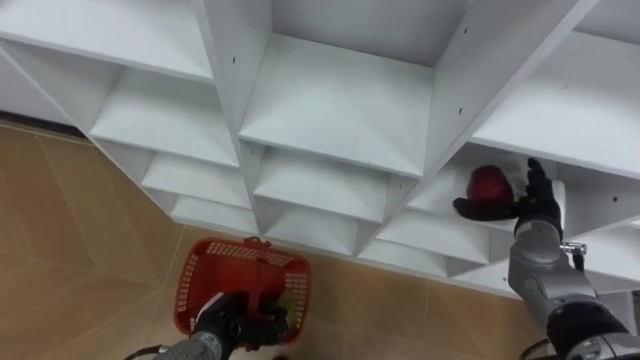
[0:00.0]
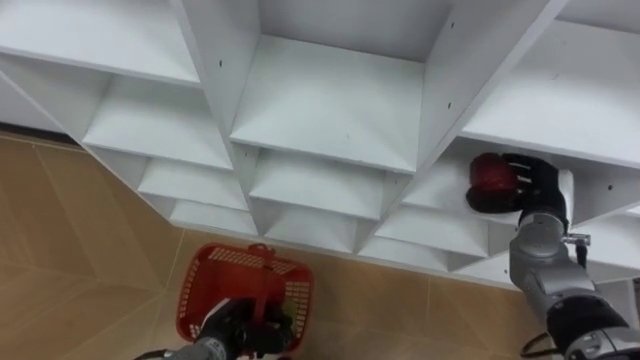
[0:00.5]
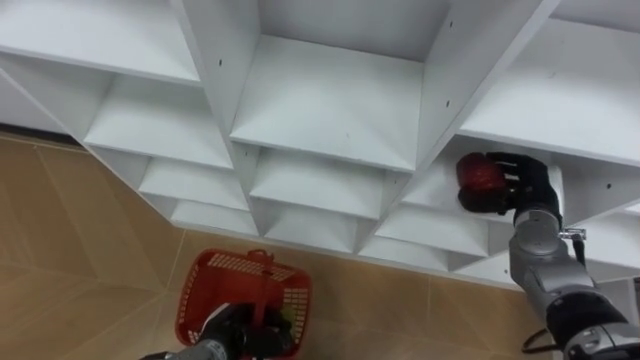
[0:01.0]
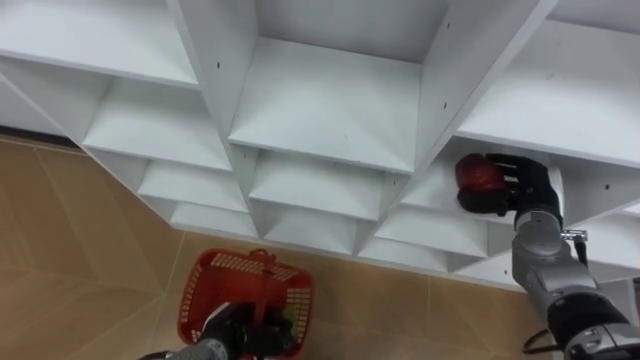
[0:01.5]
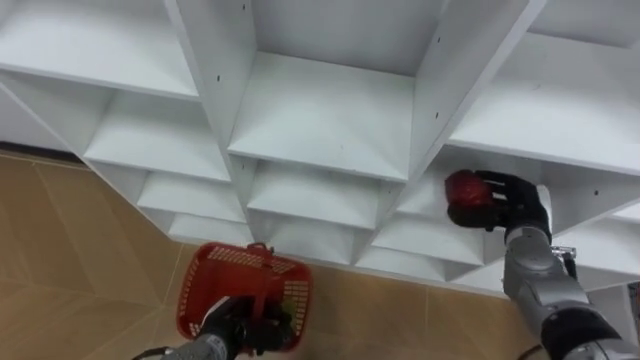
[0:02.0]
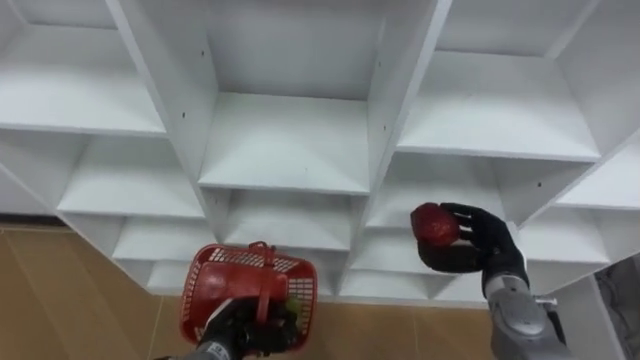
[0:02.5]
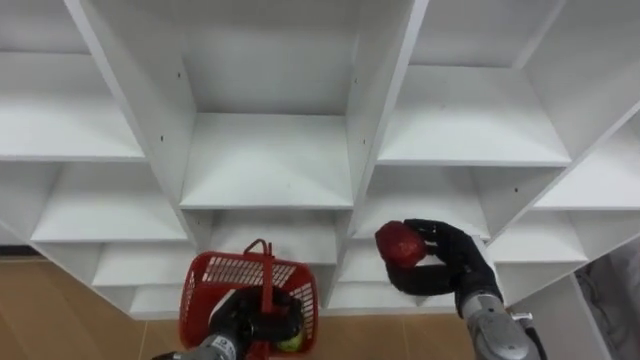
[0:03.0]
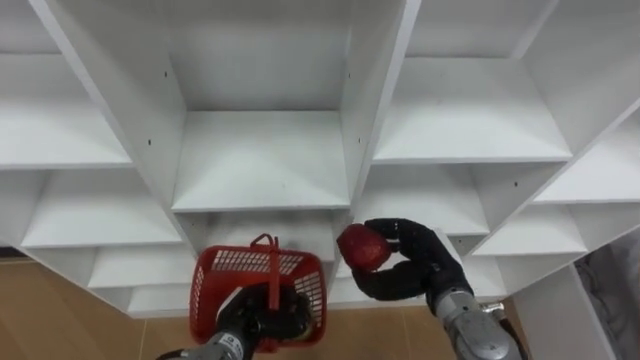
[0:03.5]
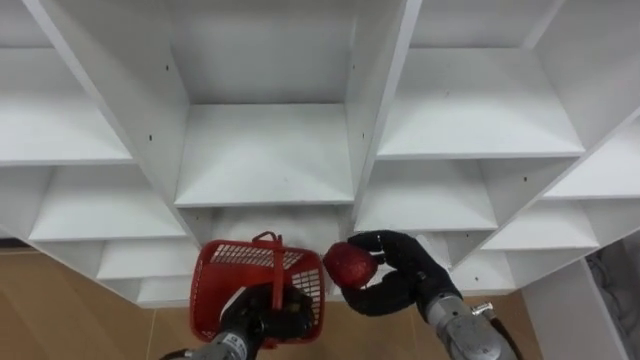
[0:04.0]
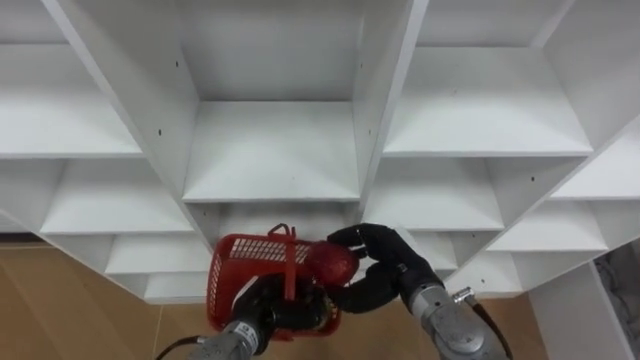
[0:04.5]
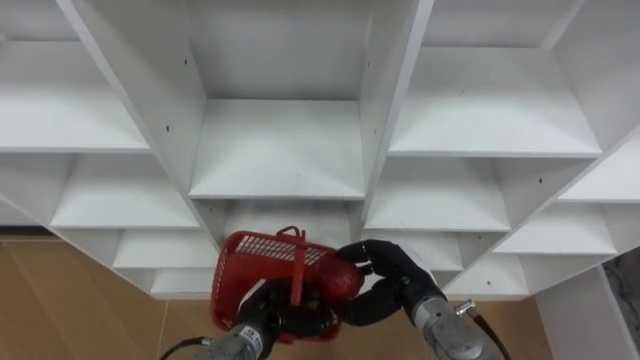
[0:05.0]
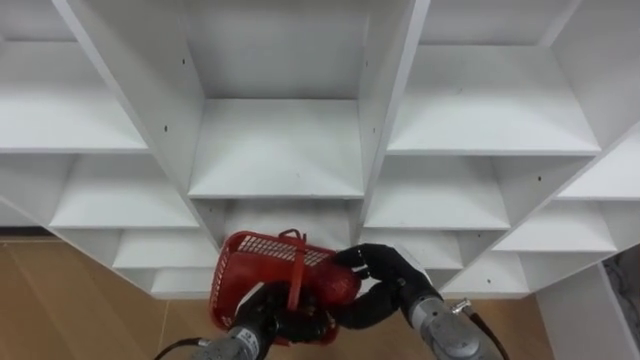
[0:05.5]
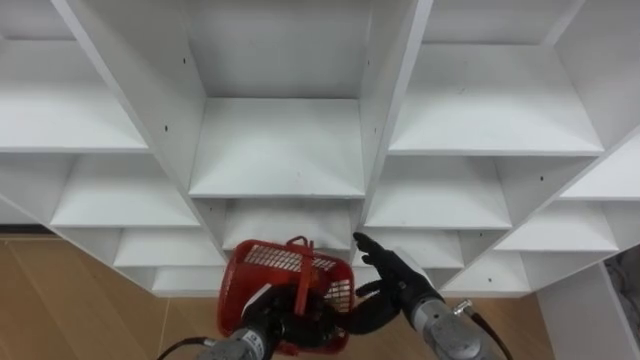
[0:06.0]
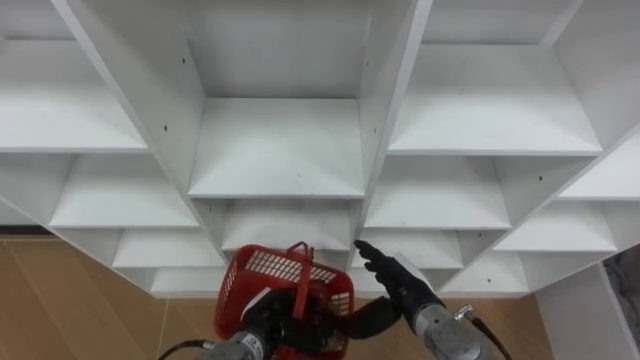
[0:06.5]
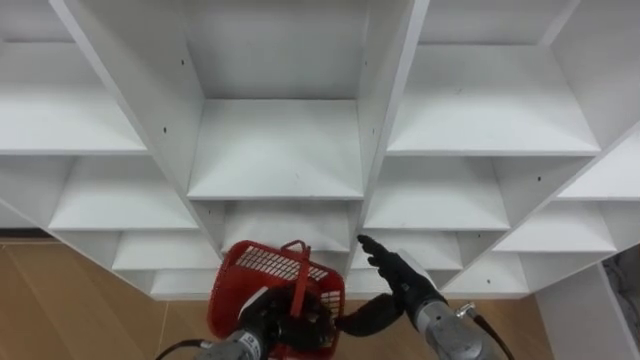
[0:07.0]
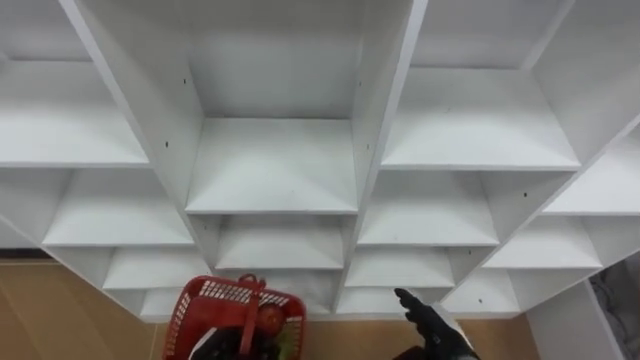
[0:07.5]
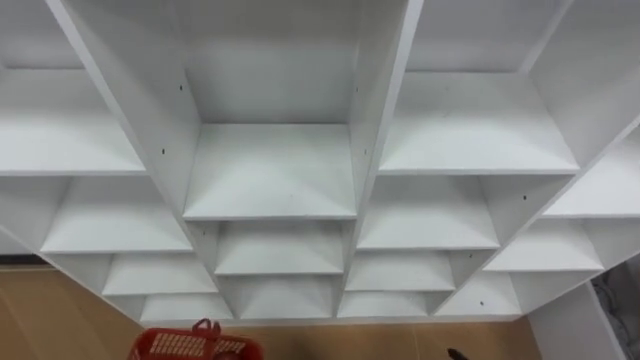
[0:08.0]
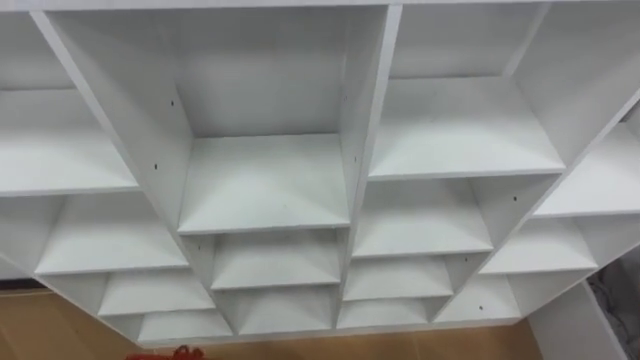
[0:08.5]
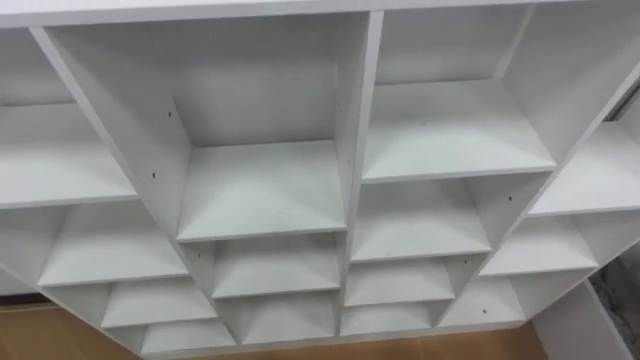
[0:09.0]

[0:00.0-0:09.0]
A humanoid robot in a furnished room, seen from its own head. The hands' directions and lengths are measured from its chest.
Task of the whole recording: Hold the basket and collect the fruits from 3 different cells of the closet into it.
0:00.0 to 0:02.0: The right hand closes.
0:02.0 to 0:04.5: The left hand changes place by roughly 5 cm. Meanwhile the right hand travels to the left and backward by approximately 20 cm.
0:04.5 to 0:07.0: The right hand opens.
